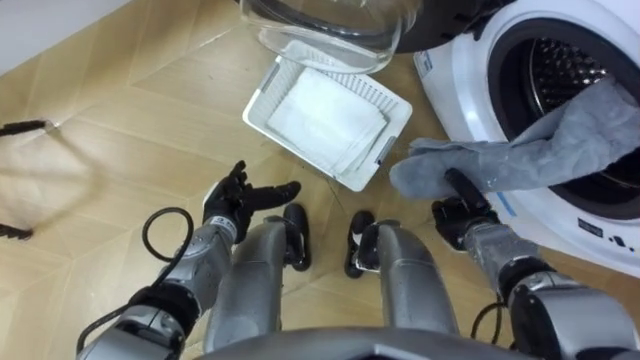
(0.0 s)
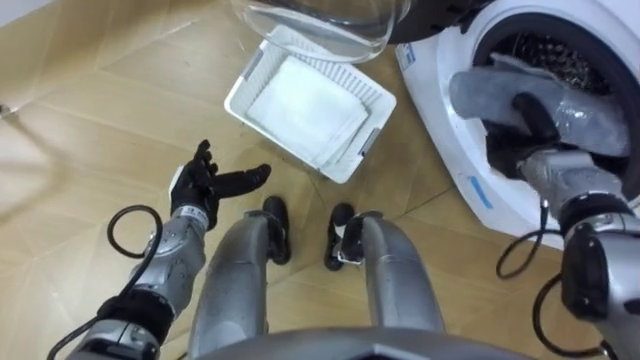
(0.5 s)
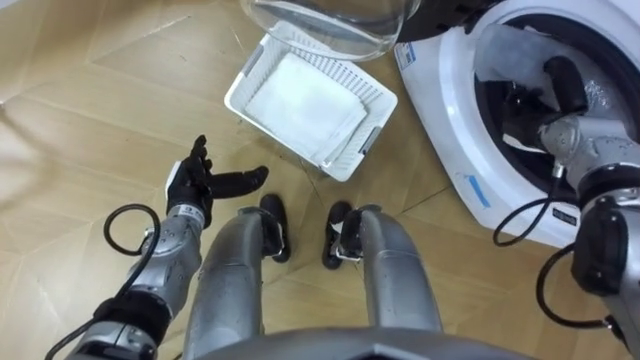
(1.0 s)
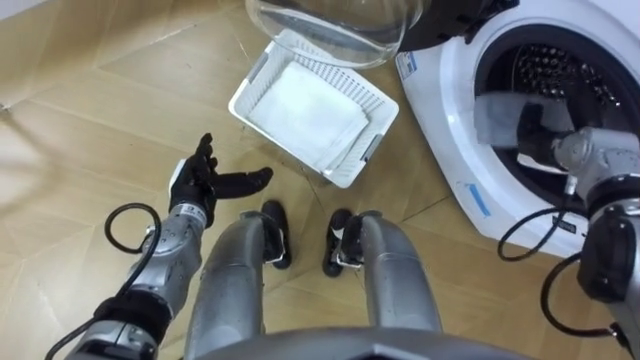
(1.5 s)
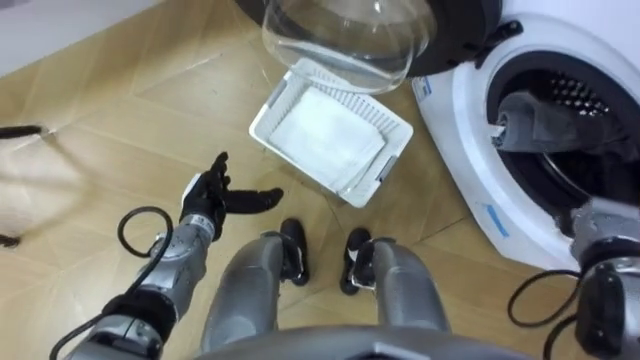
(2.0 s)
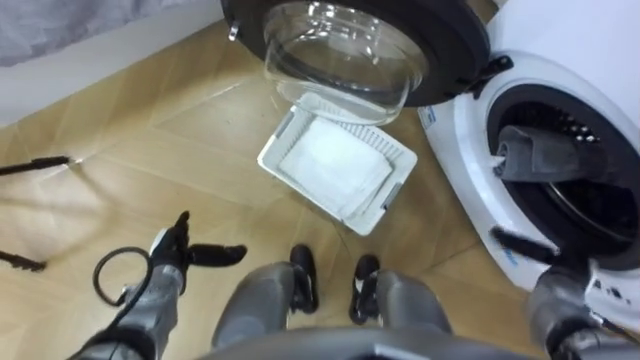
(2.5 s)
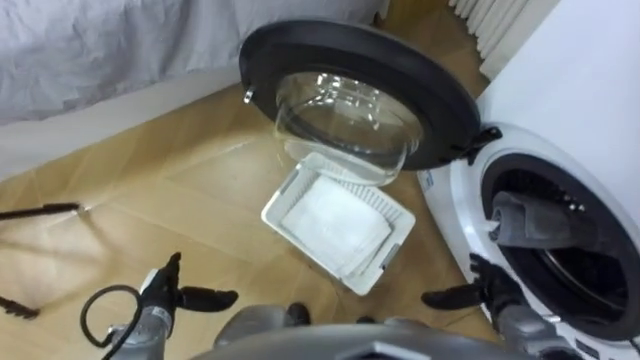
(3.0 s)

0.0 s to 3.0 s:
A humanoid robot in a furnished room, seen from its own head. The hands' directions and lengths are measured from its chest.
Task of the whole recording: Take the towel from the basket and put it into the washing machine.
0.0 to 1.5 s: The left hand changes place by about 5 cm; the right hand moves to the right, upward and forward, approximately 15 cm, and opens up.
1.5 to 3.0 s: The hands both shift backward and downward by about 20 cm.

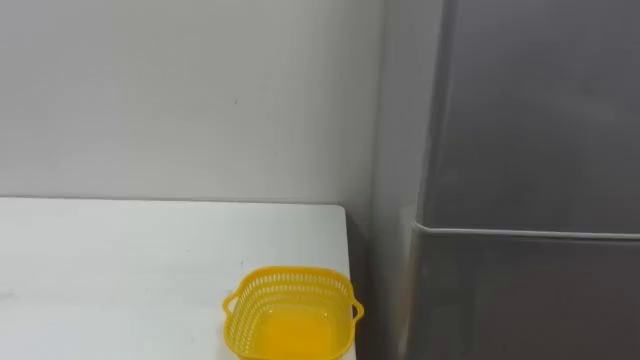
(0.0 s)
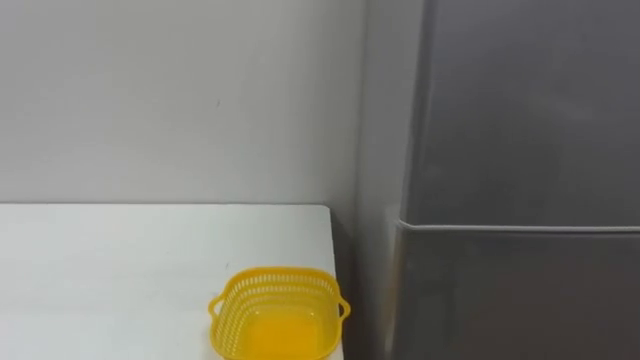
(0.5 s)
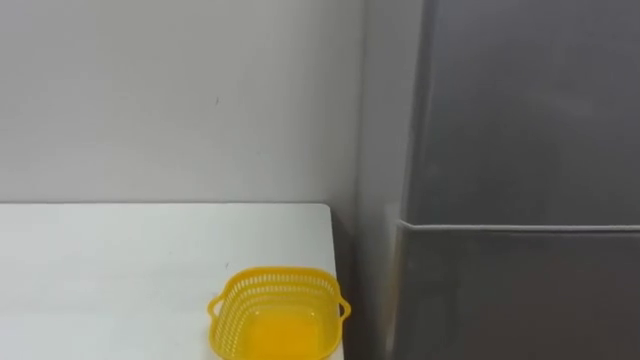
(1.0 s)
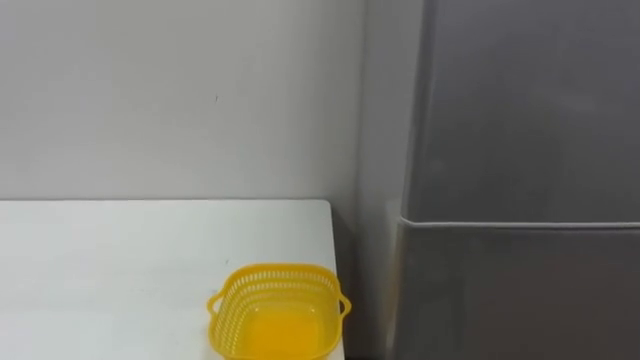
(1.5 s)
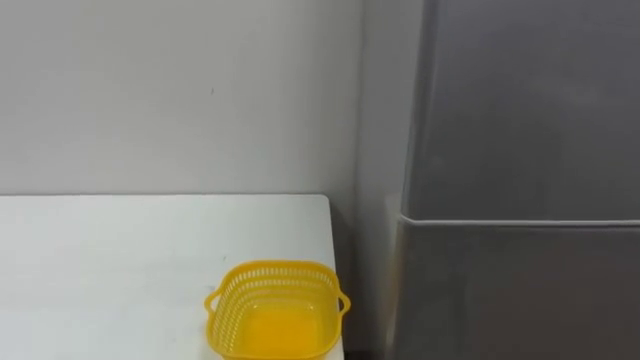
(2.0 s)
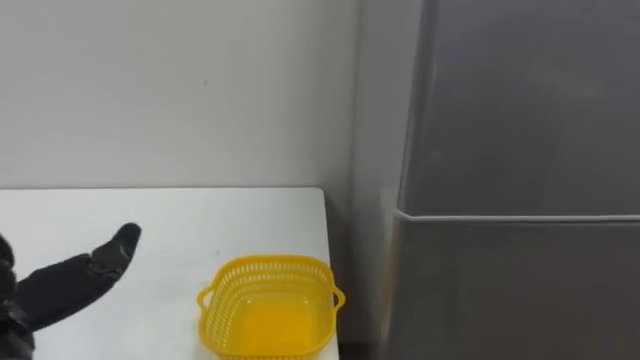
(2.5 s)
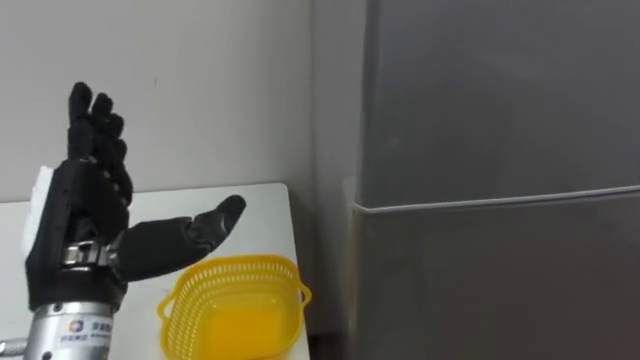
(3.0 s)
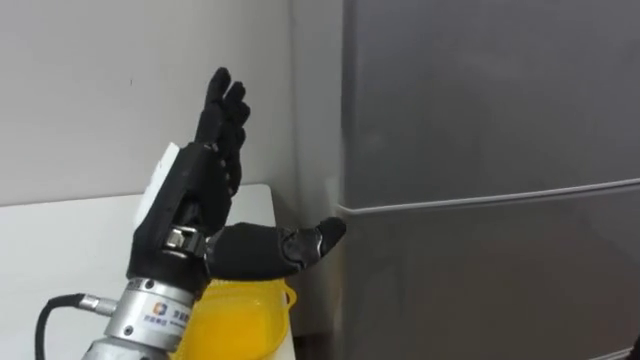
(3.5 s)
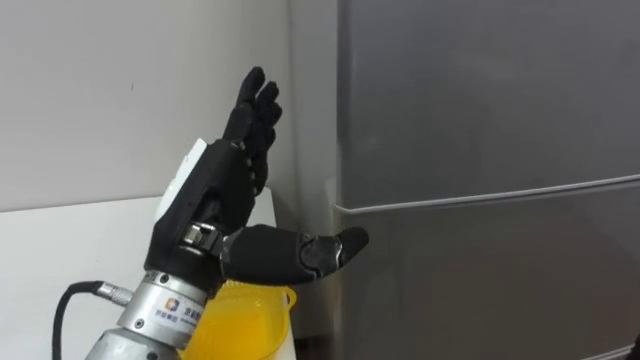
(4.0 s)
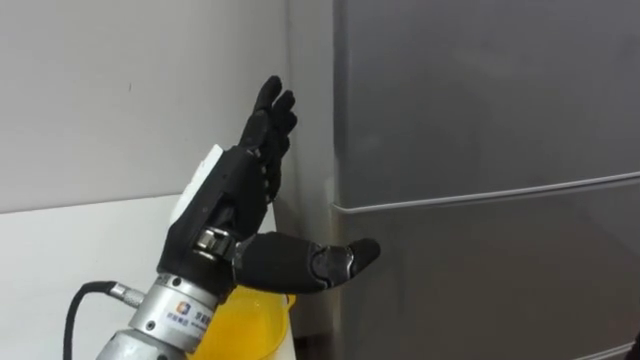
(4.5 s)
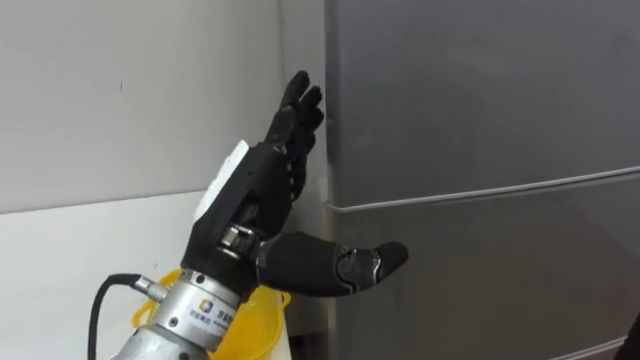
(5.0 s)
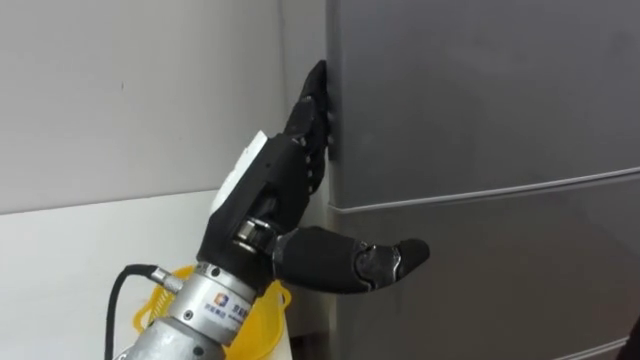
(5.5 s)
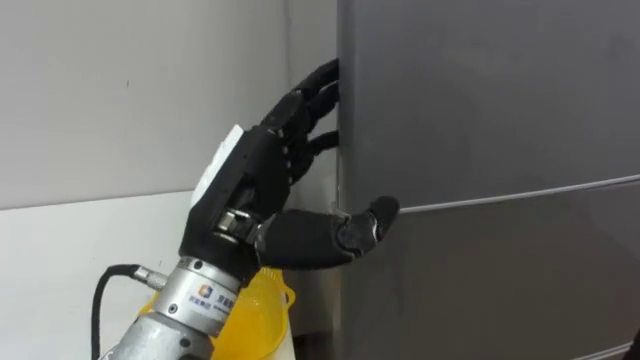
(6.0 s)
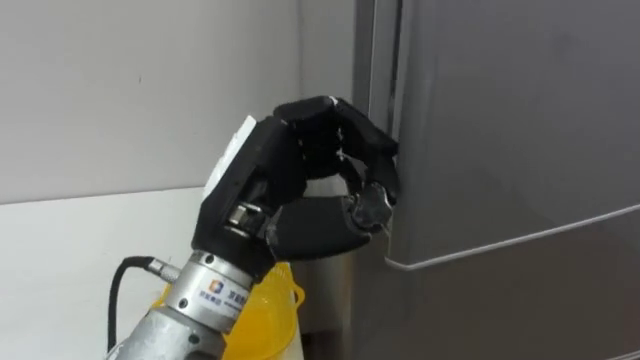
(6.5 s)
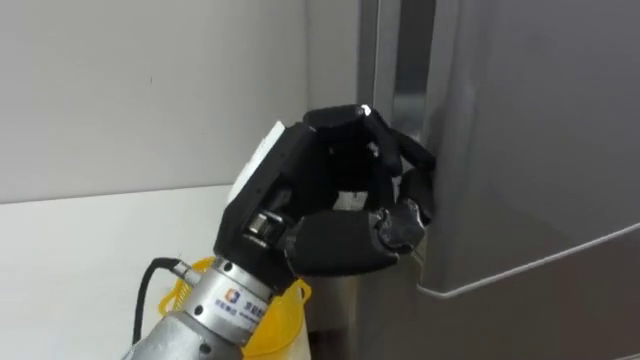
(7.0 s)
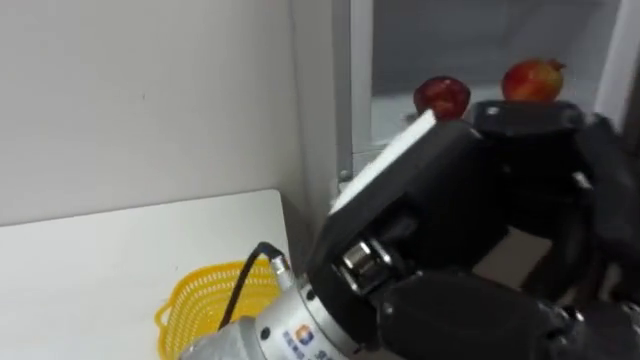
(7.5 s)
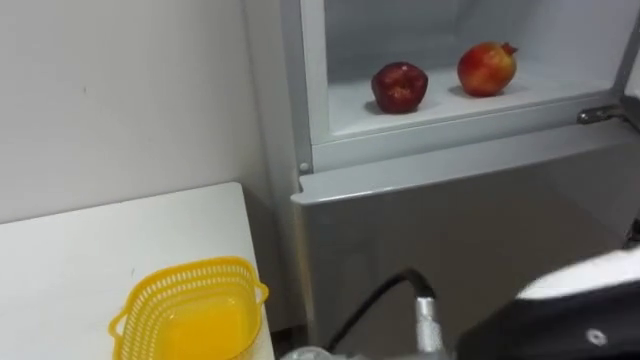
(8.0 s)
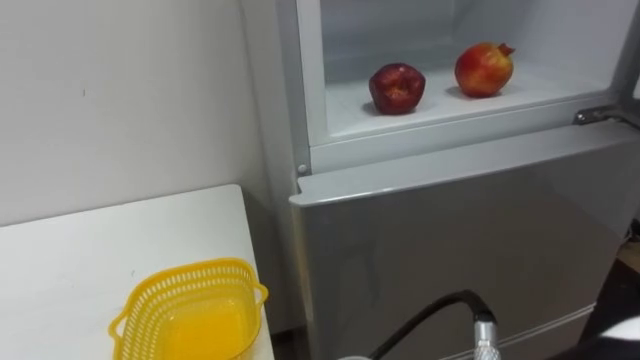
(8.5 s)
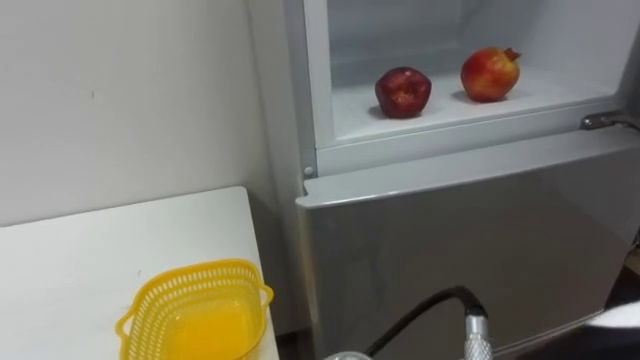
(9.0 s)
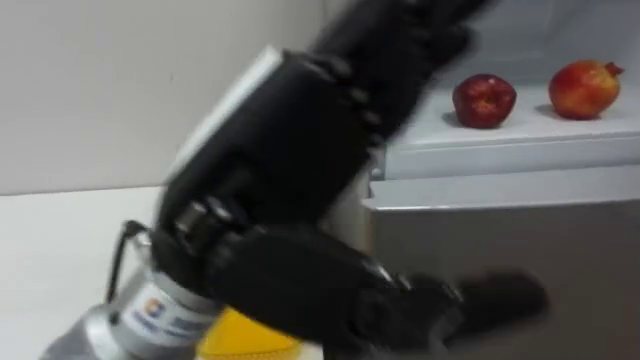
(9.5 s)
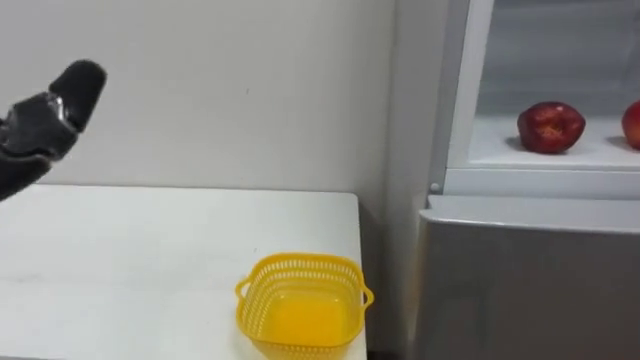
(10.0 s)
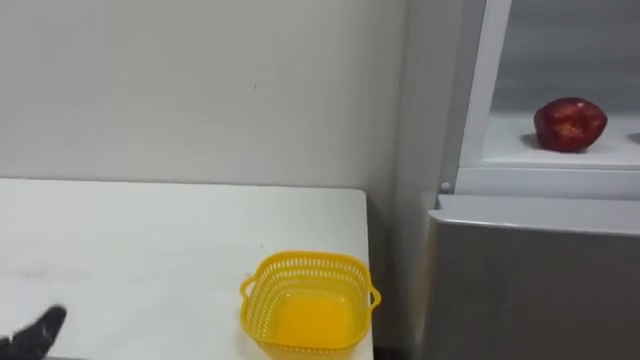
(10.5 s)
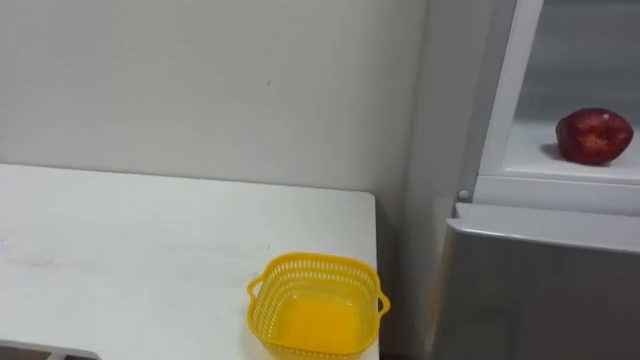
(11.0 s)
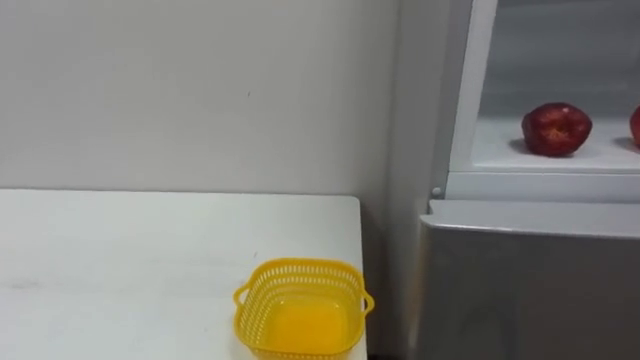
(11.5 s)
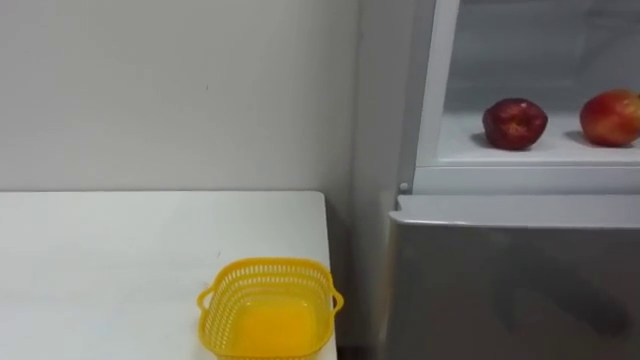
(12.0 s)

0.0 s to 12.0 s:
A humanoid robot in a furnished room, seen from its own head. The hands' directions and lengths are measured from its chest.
Task of the whole recording: Open the refrigerator door, take out the apple and the pomegranate, place them in the fruit basket on the left, and close the refrigerator door.
6.0 to 8.0 s: The left hand goes about 20 cm backward and to the right, and closes.

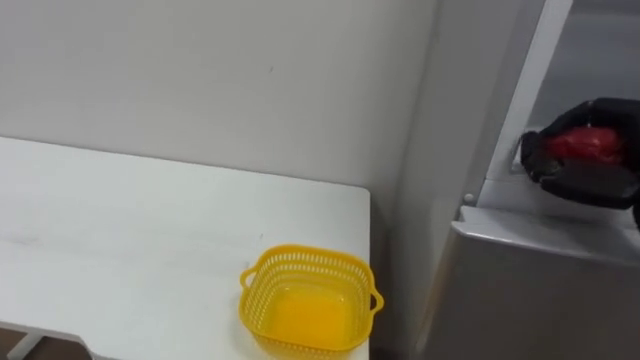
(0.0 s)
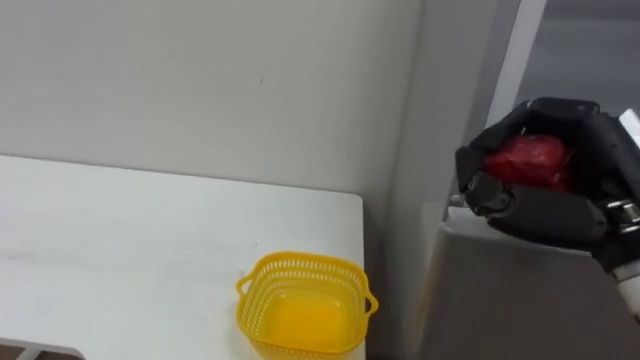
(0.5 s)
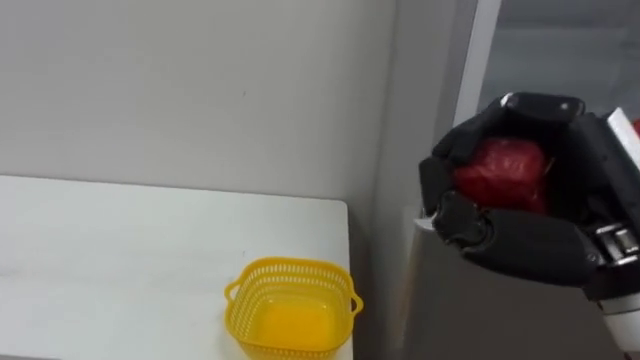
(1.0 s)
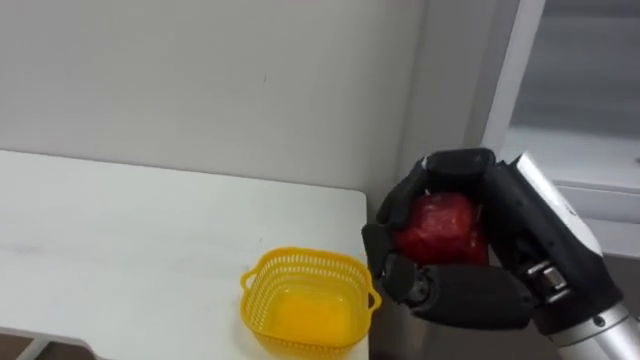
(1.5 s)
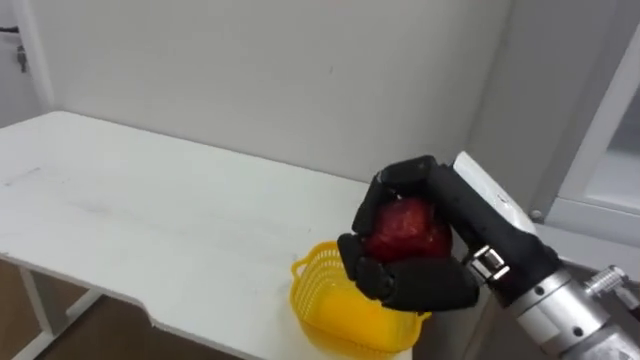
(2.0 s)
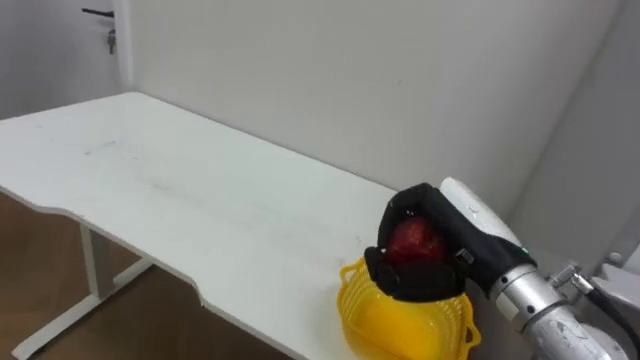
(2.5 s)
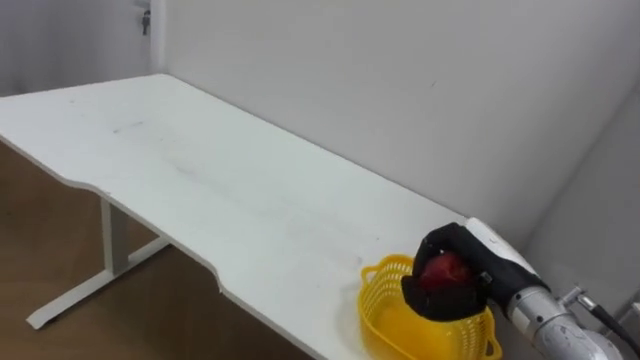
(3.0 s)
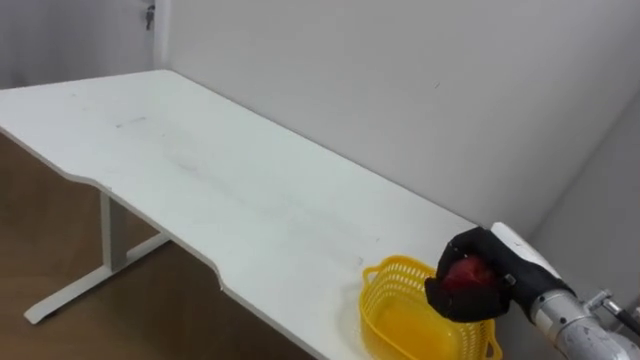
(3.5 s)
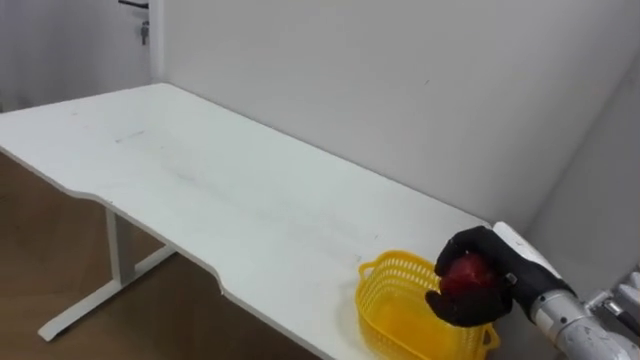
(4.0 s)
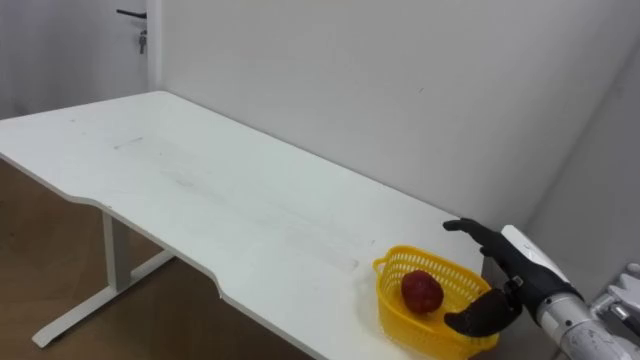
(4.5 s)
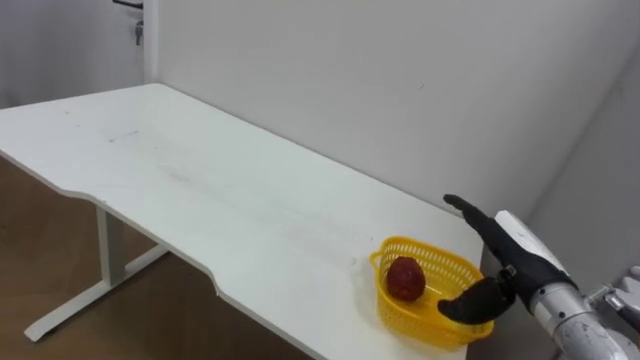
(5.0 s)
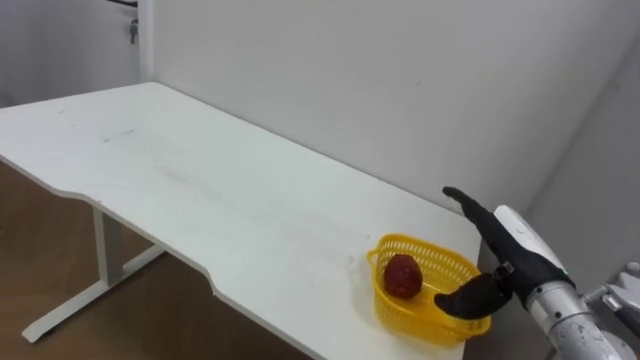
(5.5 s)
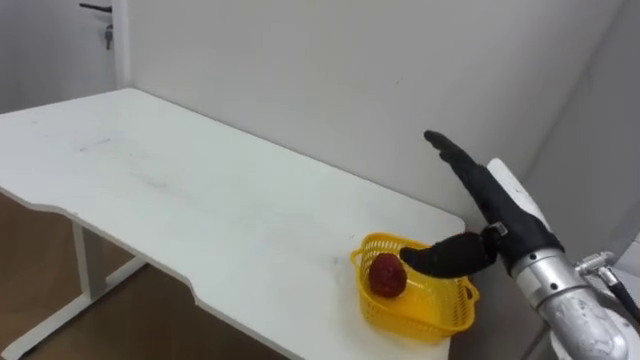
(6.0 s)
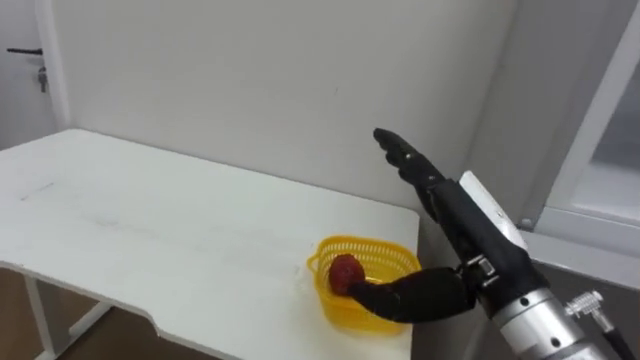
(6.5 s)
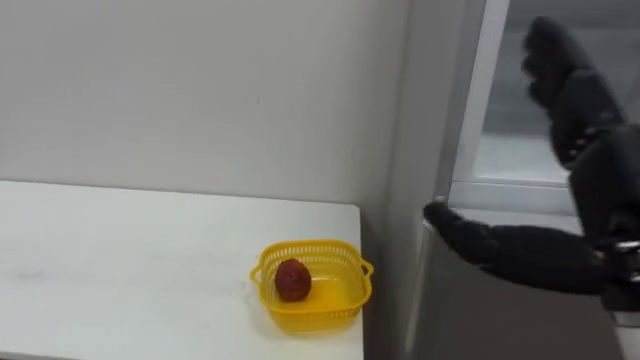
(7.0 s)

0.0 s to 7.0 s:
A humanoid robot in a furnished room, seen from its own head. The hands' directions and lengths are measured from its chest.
Task of the whole recording: Open the refrigerator door, take out the apple and the pomegranate, place them in the fruit basket on the left, and close the refrigerator door.
0.0 to 2.0 s: The right hand shifts roughly 20 cm to the left and backward.
2.0 to 3.5 s: The right hand moves downward, forward and to the right, some 20 cm.
3.5 to 5.0 s: The right hand opens.
5.0 to 7.0 s: The right hand is displaced upward and backward by roughly 20 cm.
